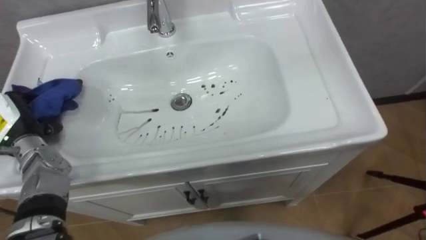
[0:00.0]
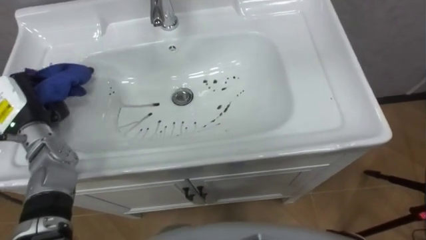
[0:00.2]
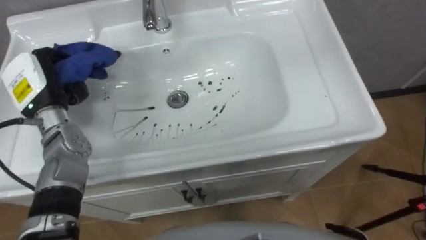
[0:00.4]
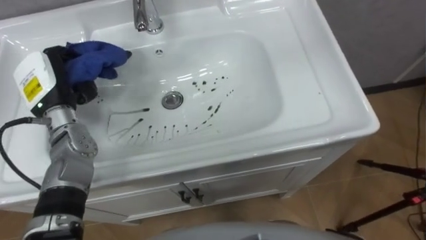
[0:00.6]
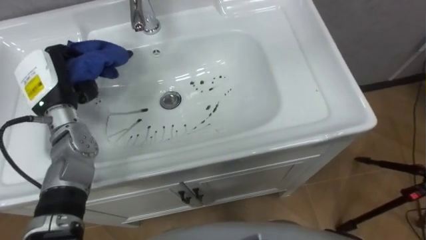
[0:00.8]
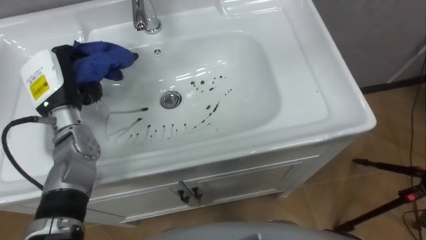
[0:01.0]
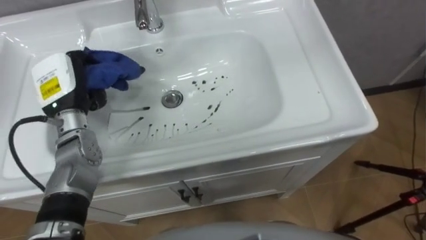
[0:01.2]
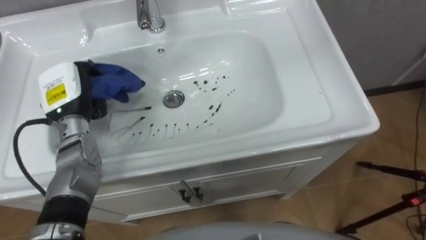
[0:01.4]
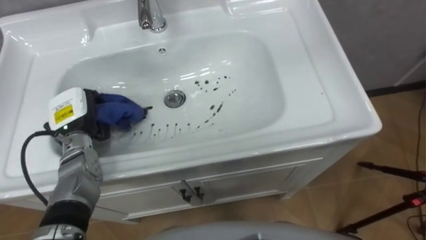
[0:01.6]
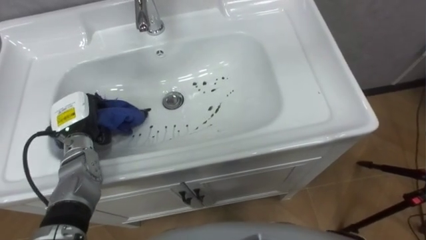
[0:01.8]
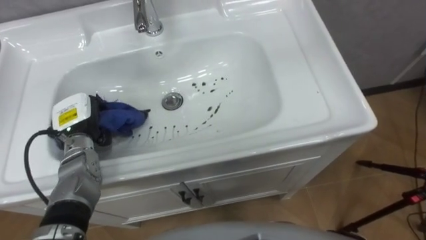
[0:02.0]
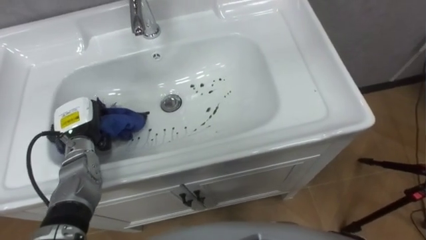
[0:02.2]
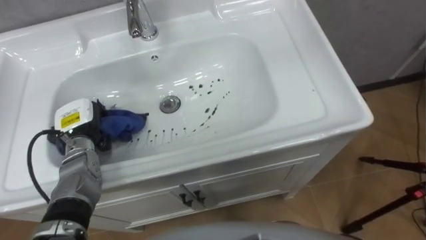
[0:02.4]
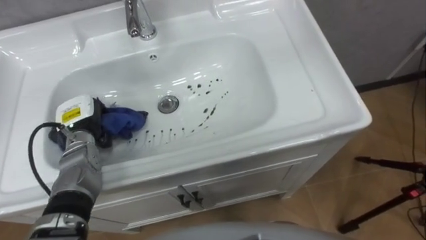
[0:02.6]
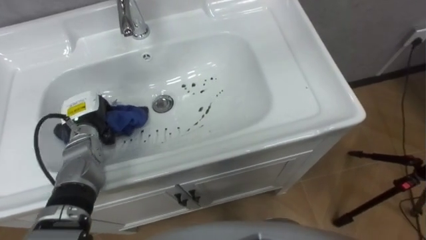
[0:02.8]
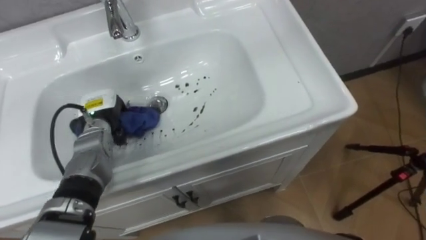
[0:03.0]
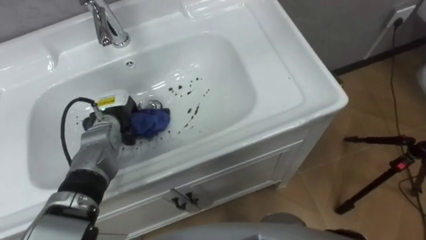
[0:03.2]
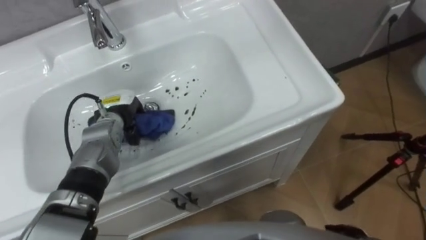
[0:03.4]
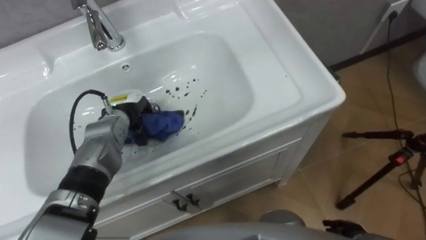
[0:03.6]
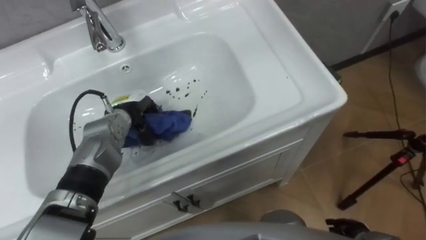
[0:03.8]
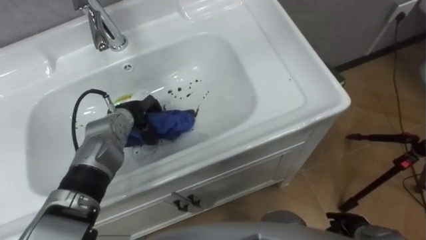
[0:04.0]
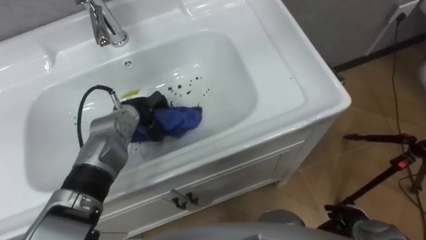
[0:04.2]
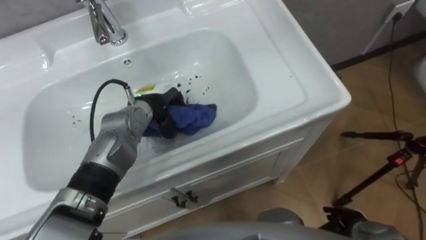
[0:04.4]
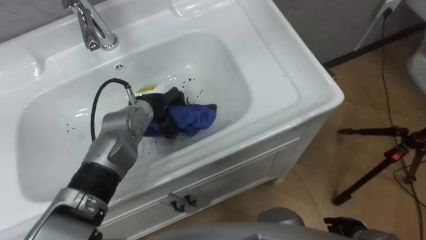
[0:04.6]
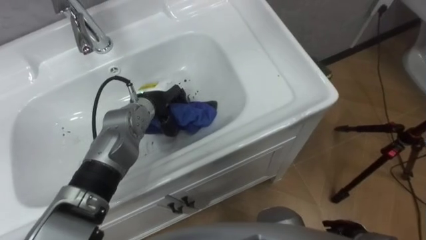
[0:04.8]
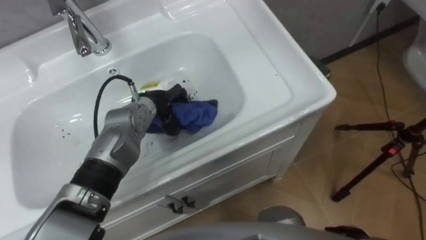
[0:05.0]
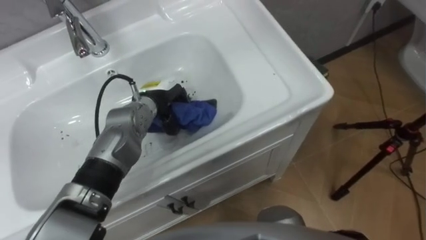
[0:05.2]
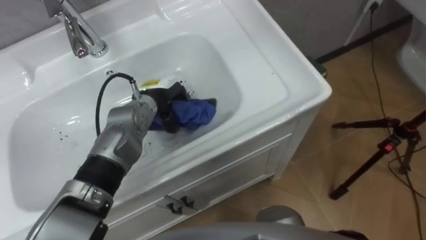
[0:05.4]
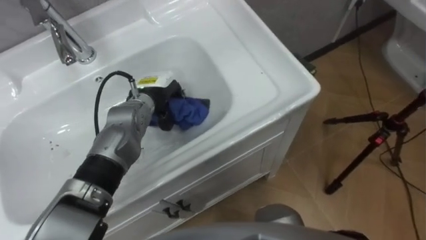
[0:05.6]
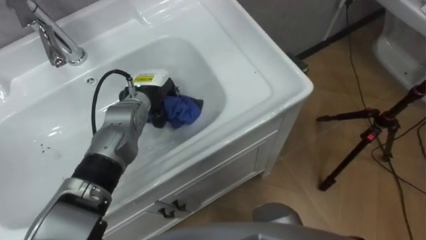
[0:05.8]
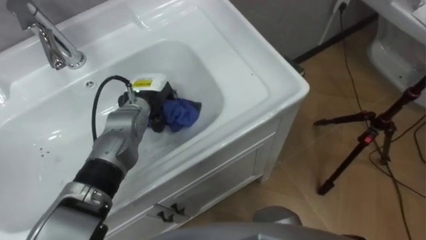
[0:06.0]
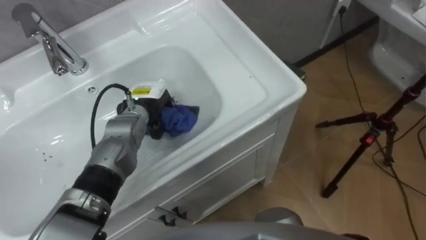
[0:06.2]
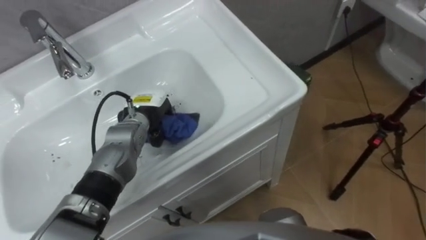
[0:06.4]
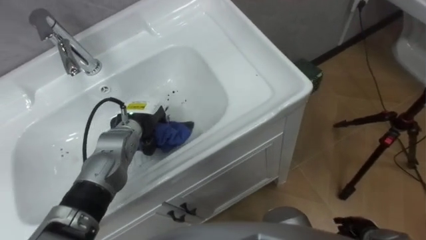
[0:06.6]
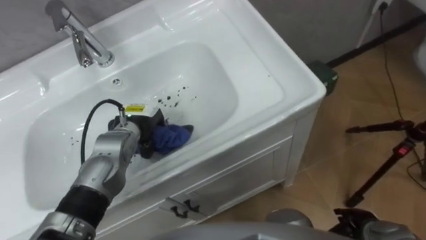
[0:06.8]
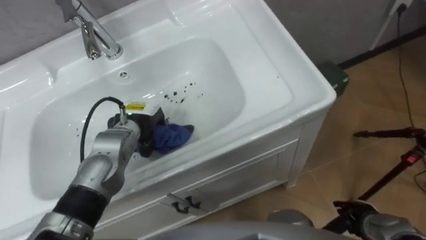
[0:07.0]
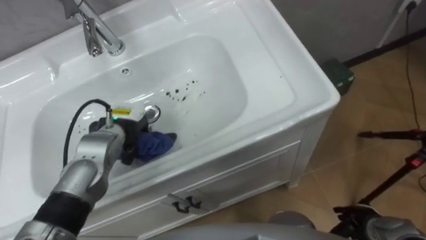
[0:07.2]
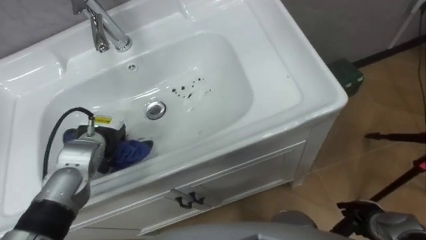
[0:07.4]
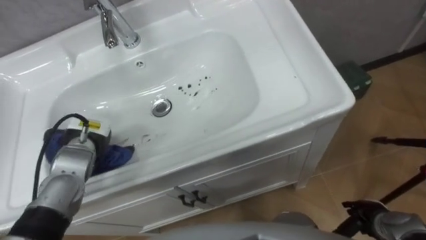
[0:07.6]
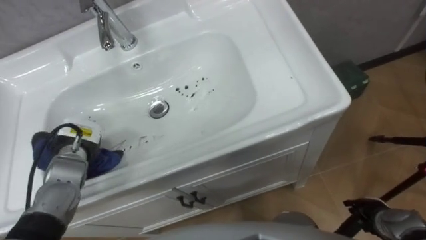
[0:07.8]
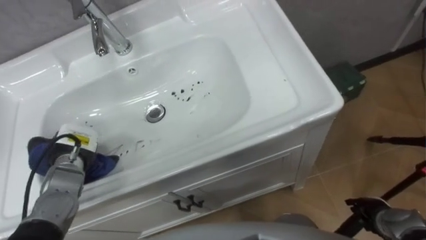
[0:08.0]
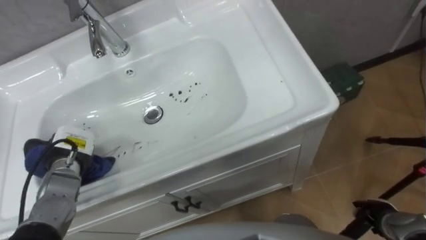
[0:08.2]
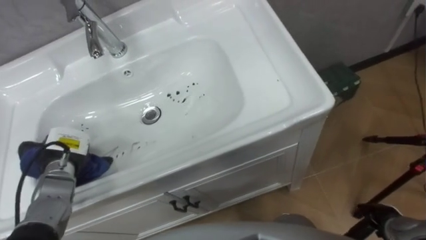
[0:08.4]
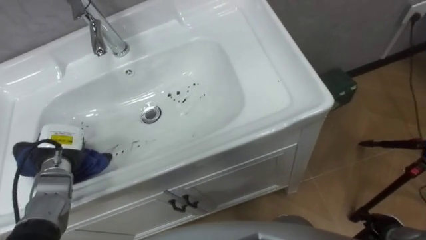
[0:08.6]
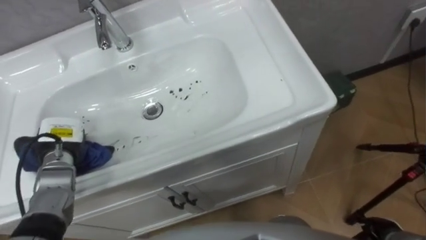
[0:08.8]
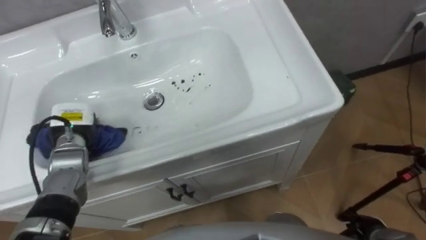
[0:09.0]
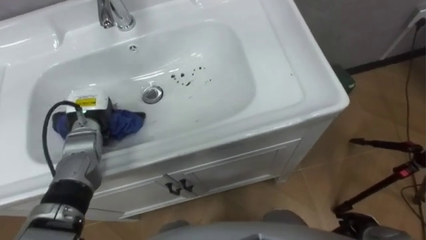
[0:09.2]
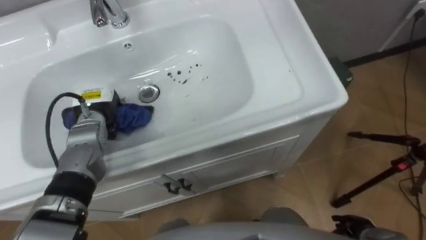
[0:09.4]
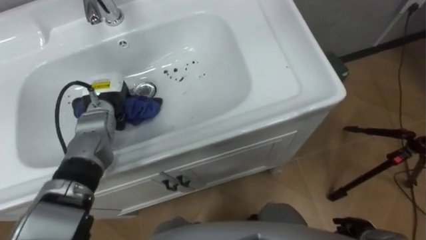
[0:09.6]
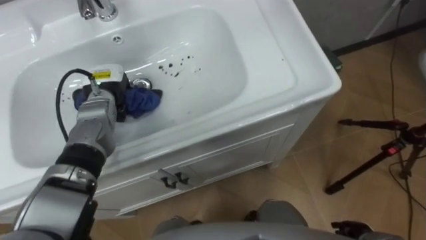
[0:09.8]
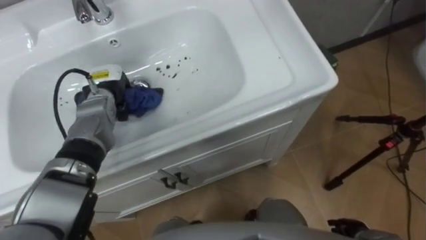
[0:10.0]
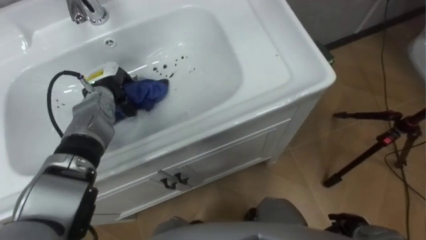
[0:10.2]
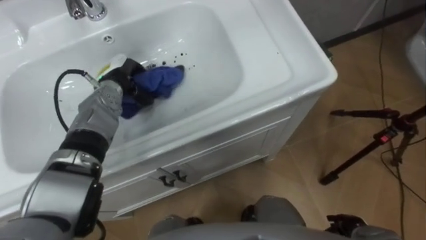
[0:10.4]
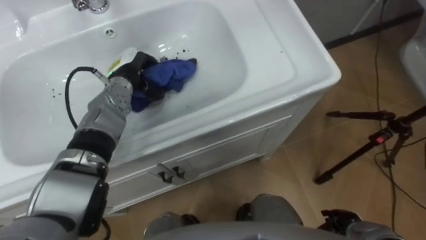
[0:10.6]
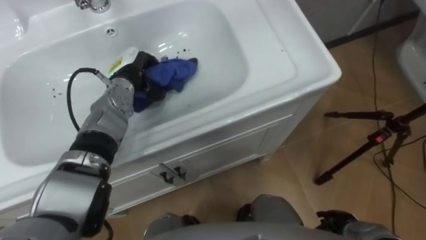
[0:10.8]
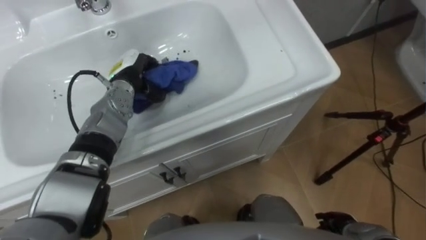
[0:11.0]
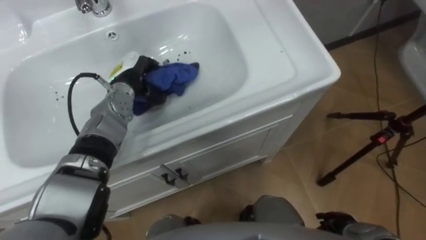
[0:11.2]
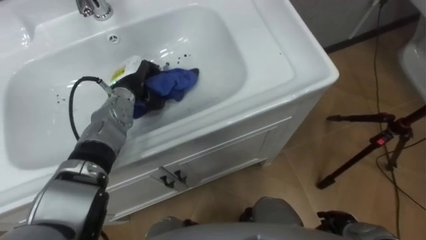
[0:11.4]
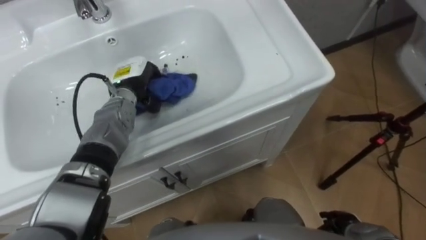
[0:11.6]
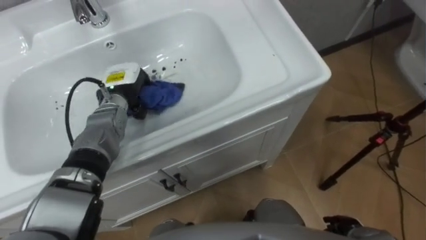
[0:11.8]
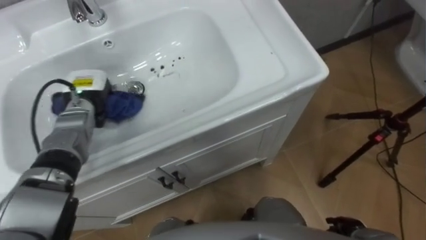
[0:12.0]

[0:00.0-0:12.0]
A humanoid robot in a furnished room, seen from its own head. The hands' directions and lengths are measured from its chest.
Task of the whole recording: Use the cloth on the right to wipe away the black stain in the sink.
0:00.0 to 0:01.6: The left hand travels to the right by approximately 10 cm.
0:01.6 to 0:03.0: The left hand changes place by approximately 5 cm.
0:03.0 to 0:04.4: The left hand goes some 10 cm to the right.
0:06.0 to 0:07.6: The left hand is displaced to the left and backward by roughly 15 cm.
0:09.0 to 0:10.4: The left hand shifts approximately 15 cm forward and to the right.
0:10.4 to 0:12.0: The left hand moves to the left, some 5 cm.

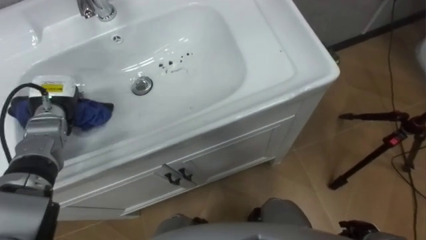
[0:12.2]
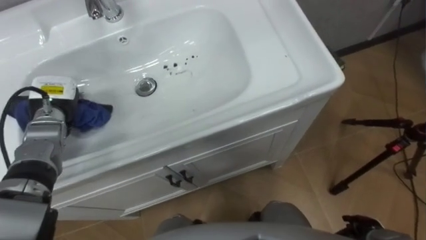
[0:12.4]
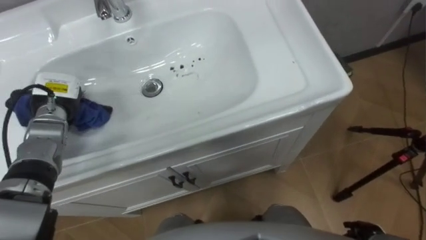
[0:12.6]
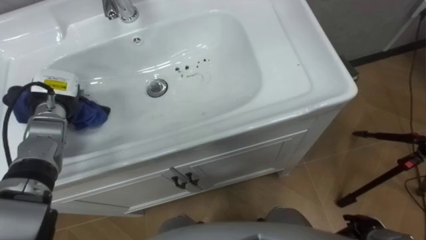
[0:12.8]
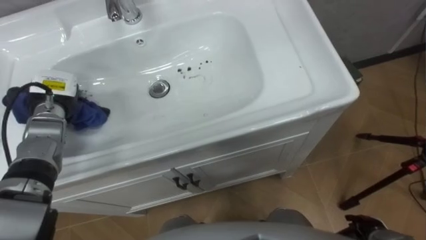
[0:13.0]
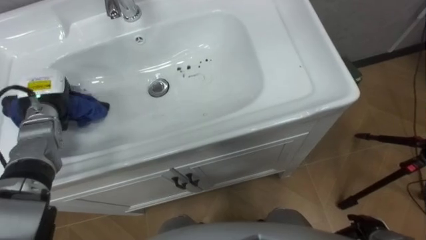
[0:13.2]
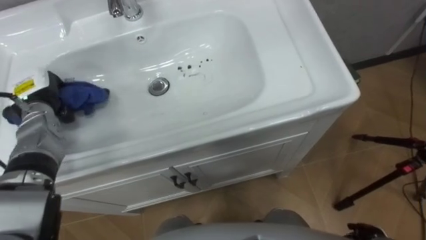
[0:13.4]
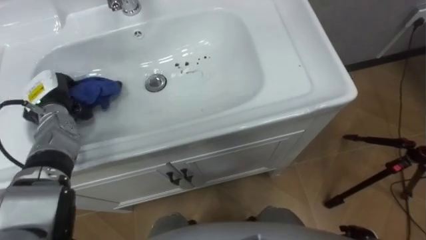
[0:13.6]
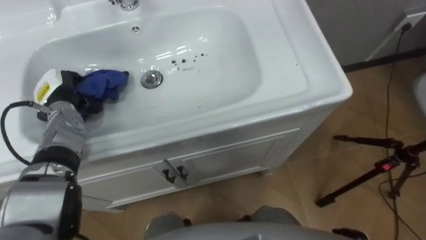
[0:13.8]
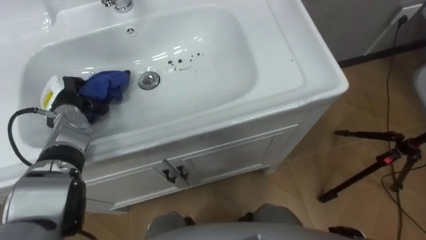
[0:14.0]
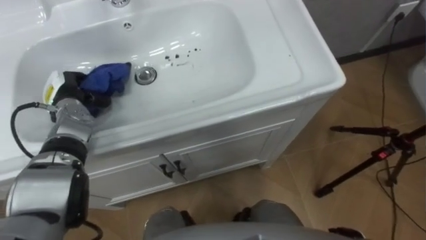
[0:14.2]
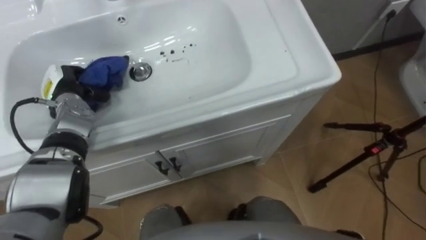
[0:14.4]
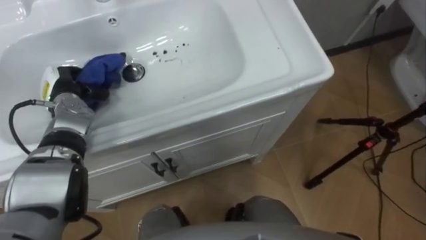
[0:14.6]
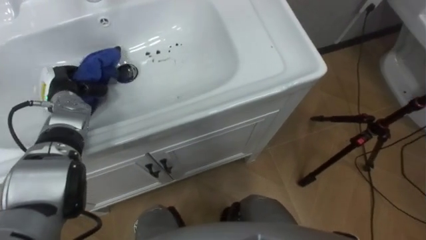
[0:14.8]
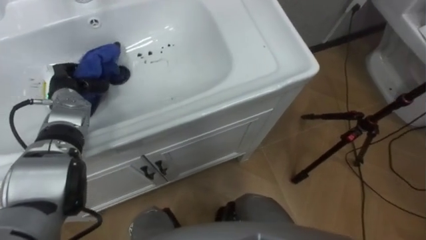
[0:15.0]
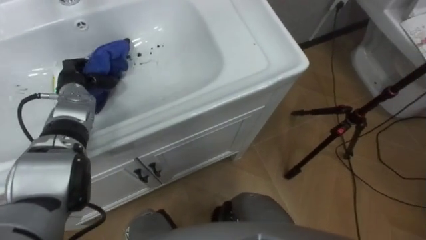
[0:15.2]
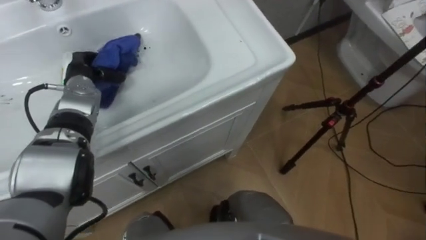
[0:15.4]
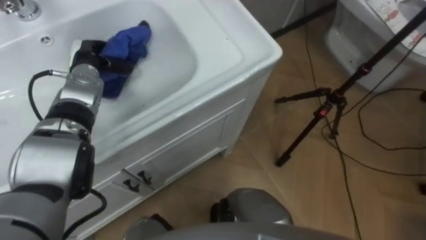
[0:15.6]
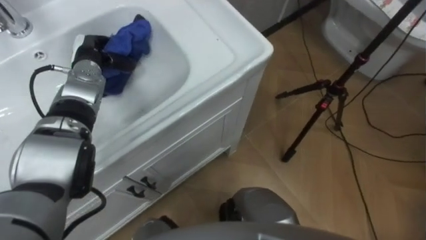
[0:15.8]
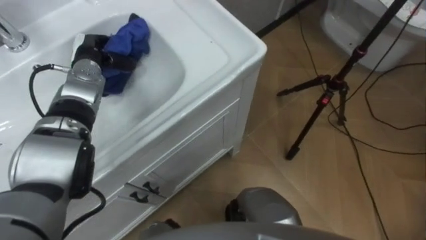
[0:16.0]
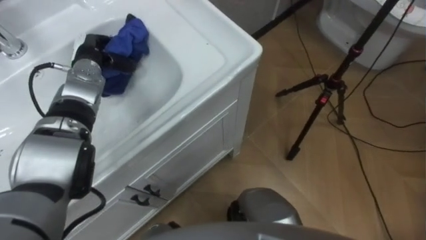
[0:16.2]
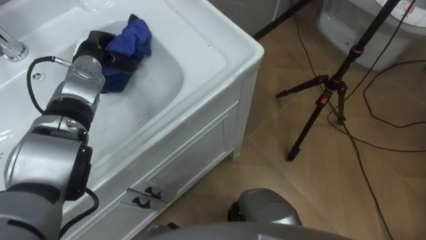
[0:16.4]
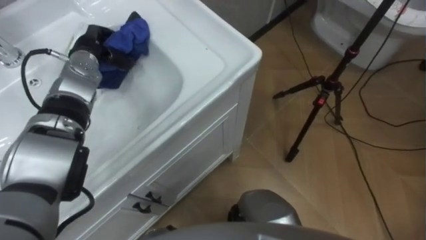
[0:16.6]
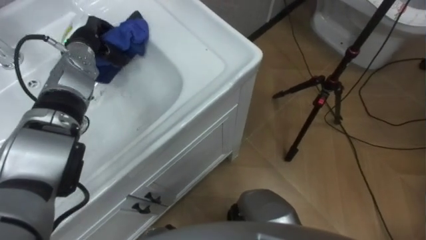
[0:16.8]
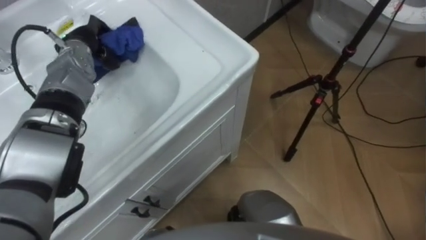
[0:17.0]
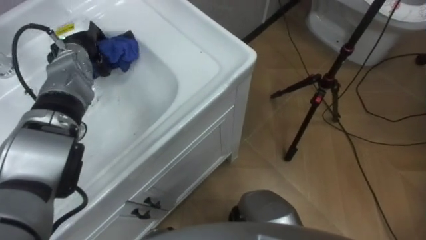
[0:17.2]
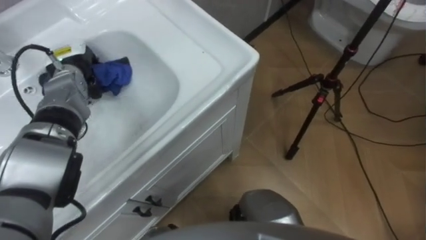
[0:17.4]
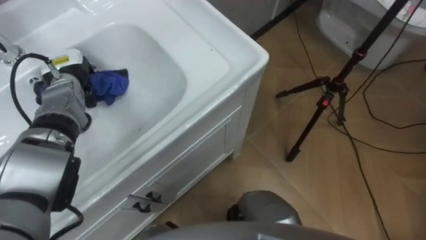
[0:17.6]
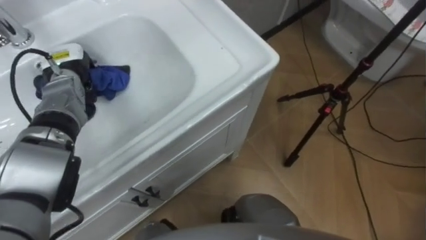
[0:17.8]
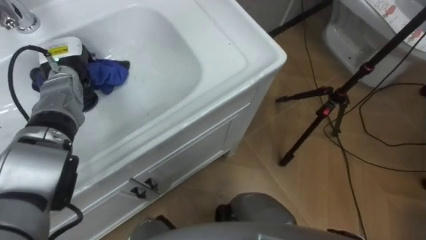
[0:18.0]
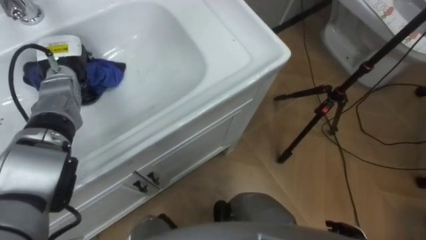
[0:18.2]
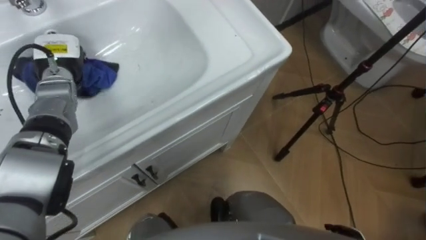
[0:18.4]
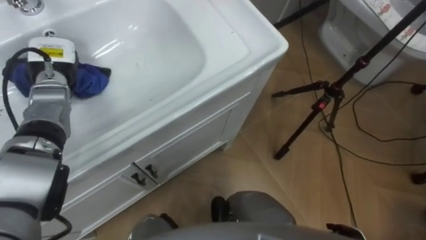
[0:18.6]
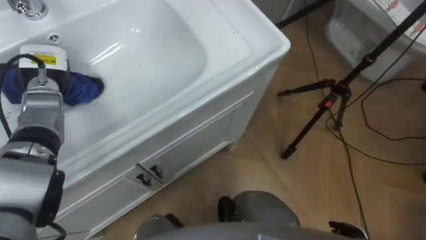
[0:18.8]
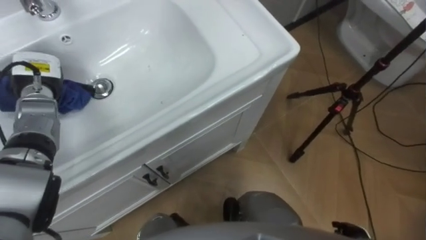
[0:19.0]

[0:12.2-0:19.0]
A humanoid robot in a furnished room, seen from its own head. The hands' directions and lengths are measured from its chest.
Task of the whole recording: Use the cloth on the right to wipe away the black stain in the sink.
0:15.0 to 0:16.2: The left hand heads to the right and forward, covering roughly 10 cm.
0:16.2 to 0:17.6: The left hand changes place by some 5 cm.
0:17.6 to 0:19.0: The left hand shifts by about 5 cm.
